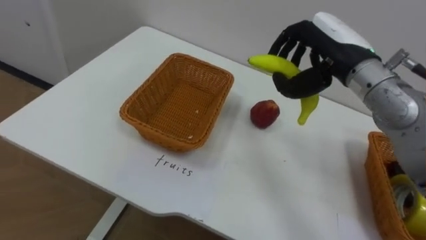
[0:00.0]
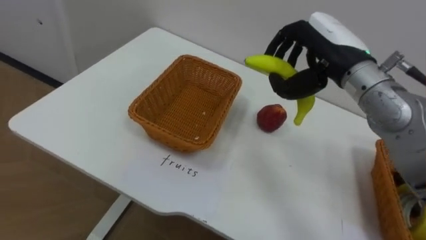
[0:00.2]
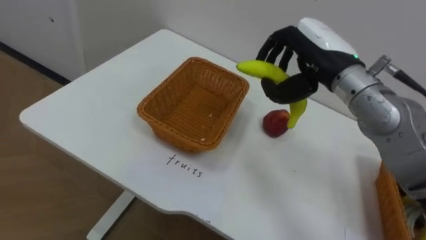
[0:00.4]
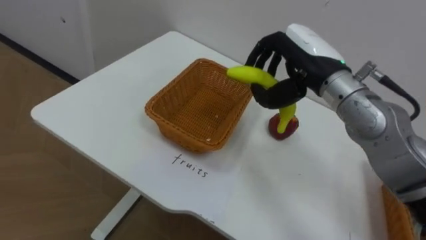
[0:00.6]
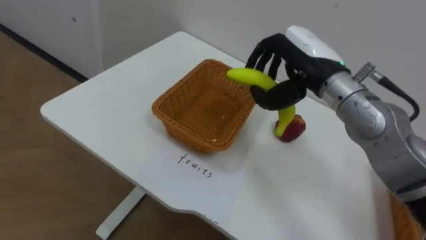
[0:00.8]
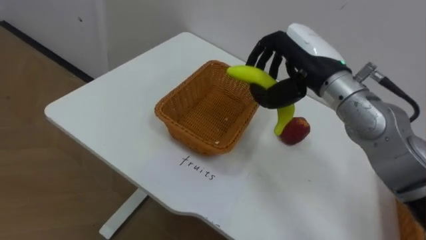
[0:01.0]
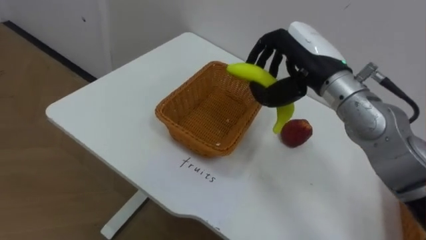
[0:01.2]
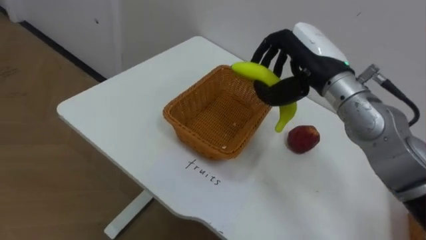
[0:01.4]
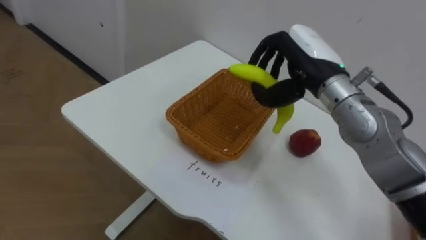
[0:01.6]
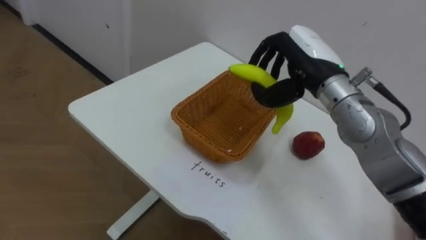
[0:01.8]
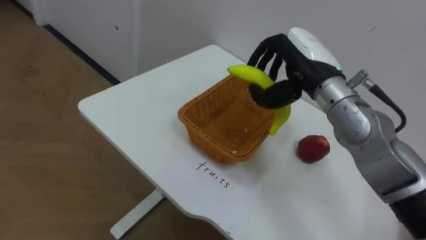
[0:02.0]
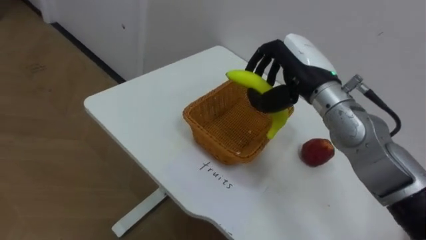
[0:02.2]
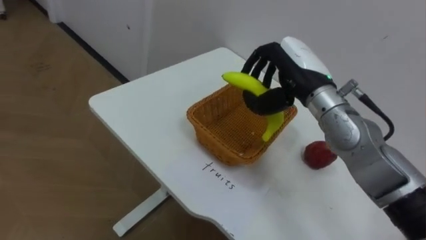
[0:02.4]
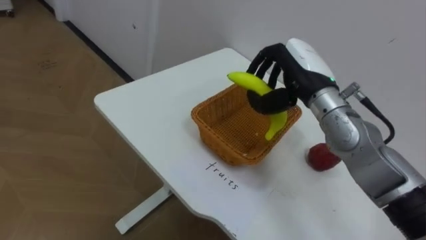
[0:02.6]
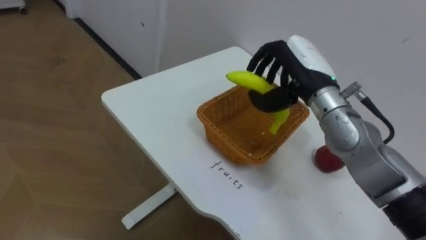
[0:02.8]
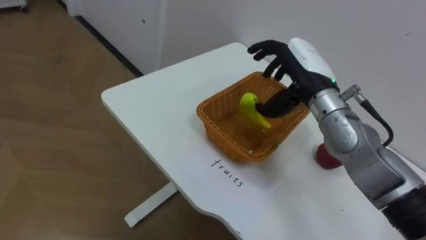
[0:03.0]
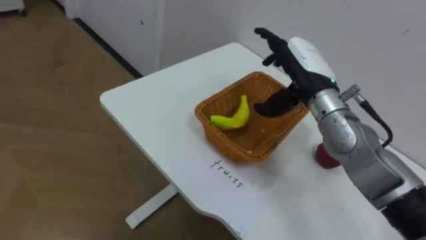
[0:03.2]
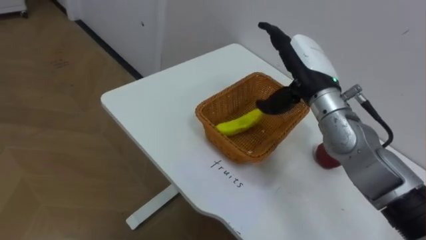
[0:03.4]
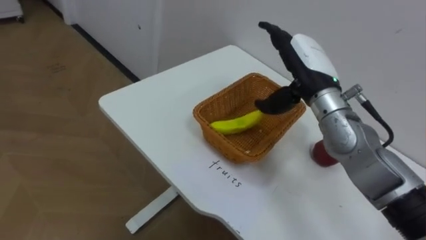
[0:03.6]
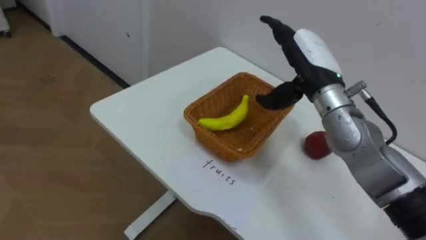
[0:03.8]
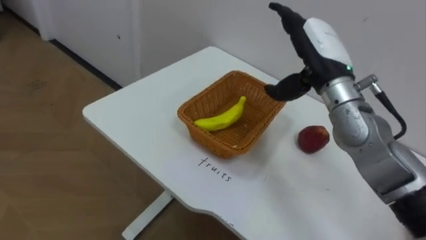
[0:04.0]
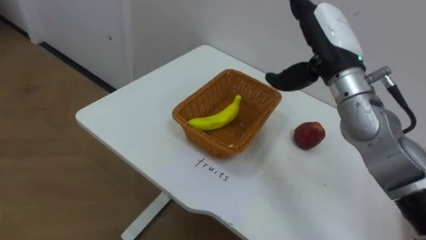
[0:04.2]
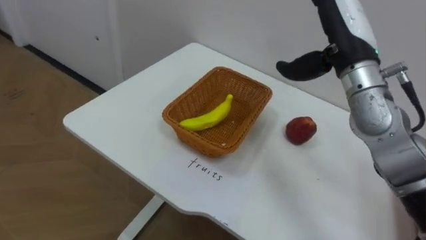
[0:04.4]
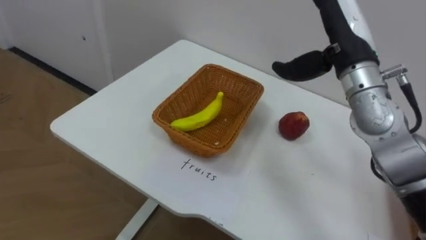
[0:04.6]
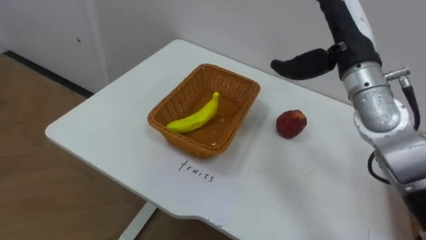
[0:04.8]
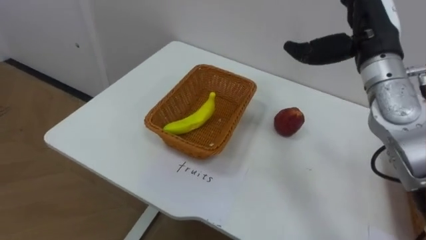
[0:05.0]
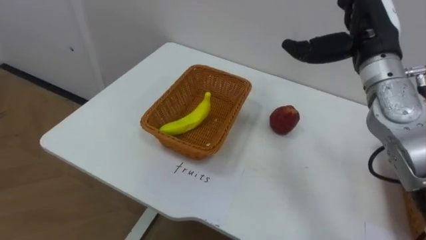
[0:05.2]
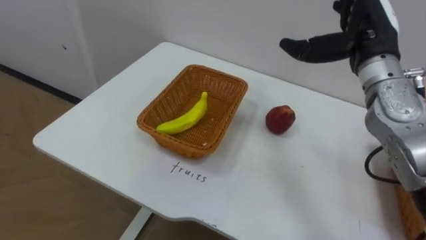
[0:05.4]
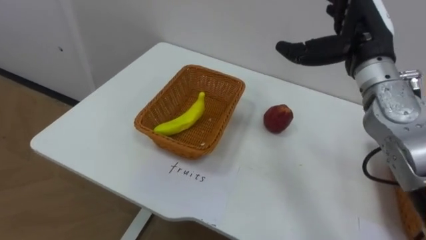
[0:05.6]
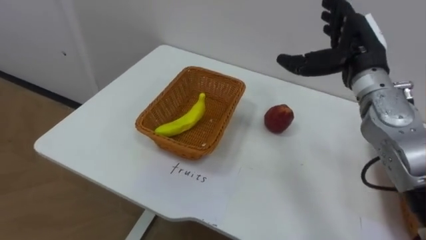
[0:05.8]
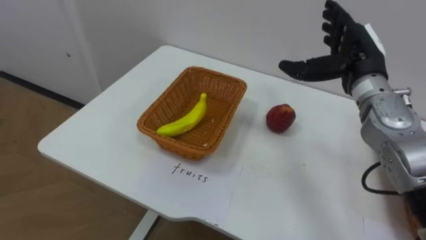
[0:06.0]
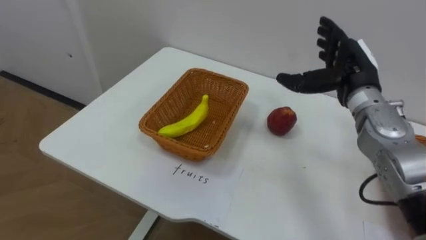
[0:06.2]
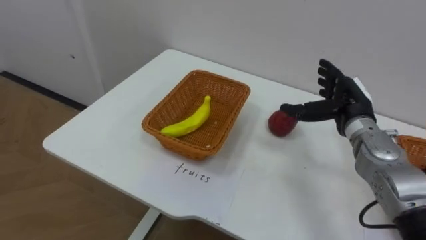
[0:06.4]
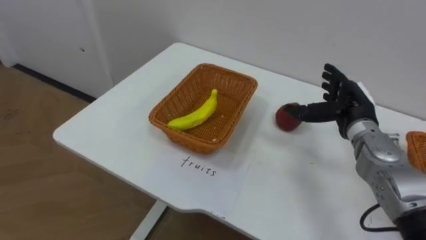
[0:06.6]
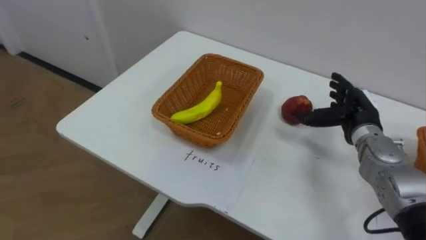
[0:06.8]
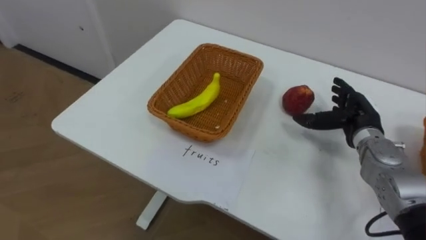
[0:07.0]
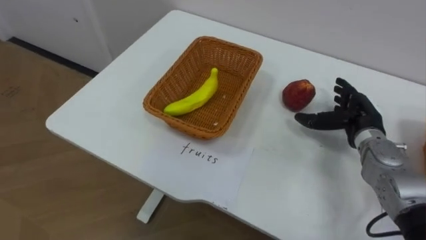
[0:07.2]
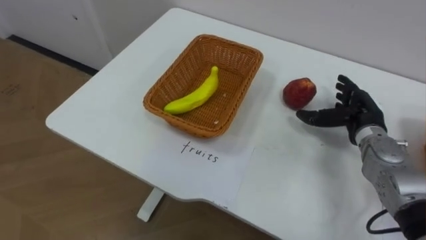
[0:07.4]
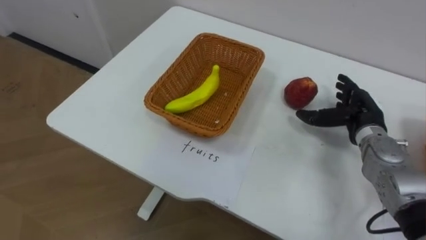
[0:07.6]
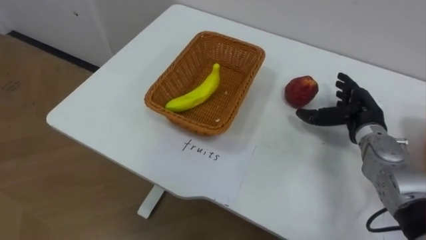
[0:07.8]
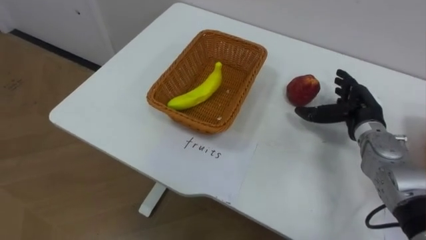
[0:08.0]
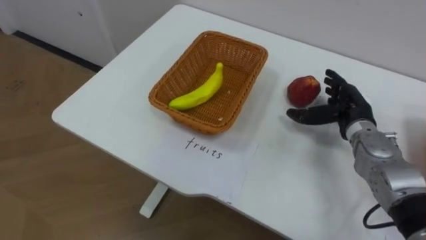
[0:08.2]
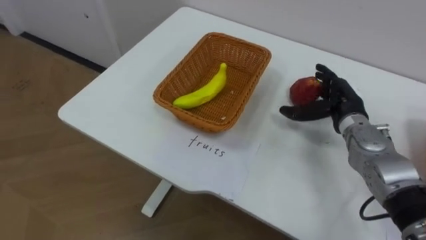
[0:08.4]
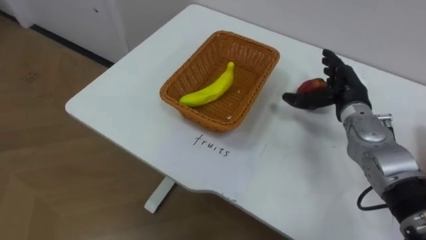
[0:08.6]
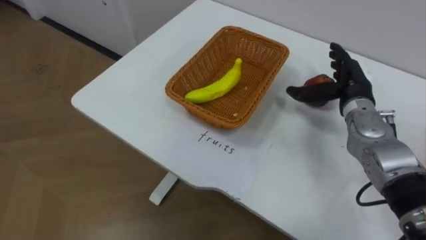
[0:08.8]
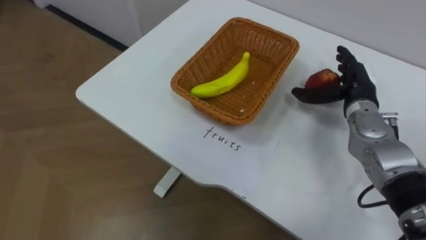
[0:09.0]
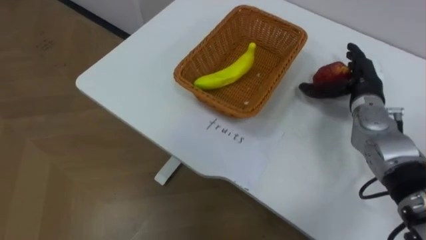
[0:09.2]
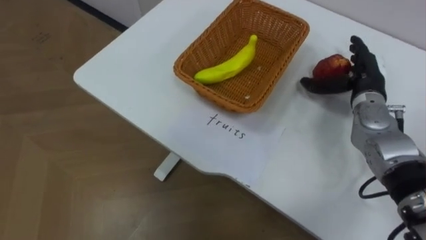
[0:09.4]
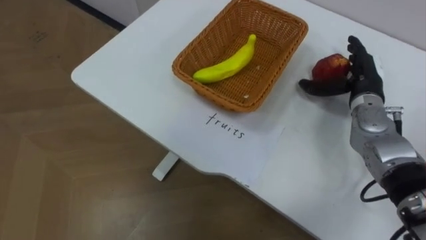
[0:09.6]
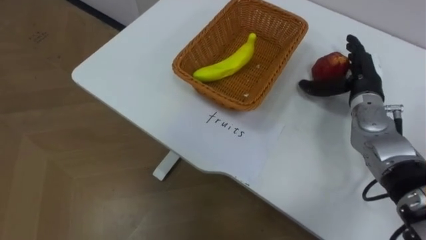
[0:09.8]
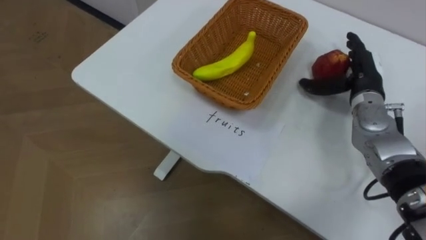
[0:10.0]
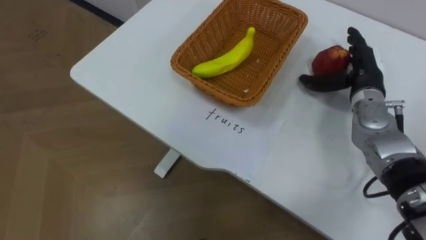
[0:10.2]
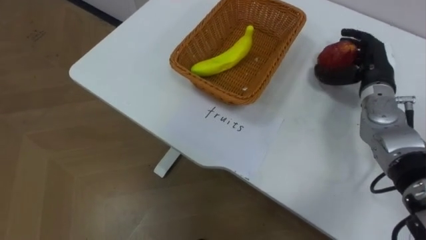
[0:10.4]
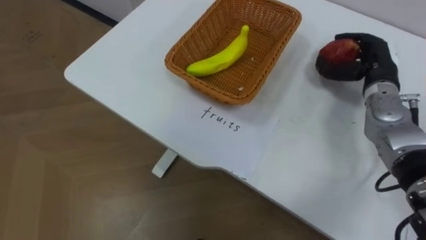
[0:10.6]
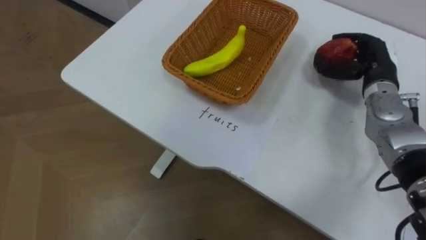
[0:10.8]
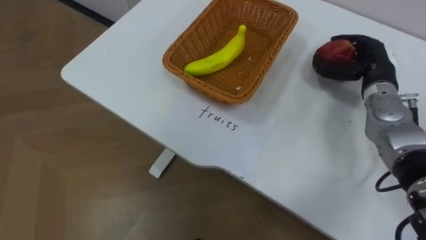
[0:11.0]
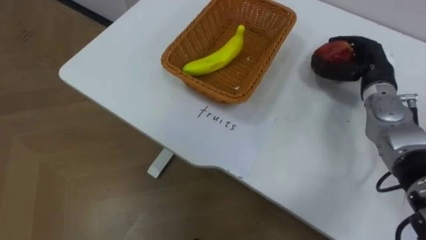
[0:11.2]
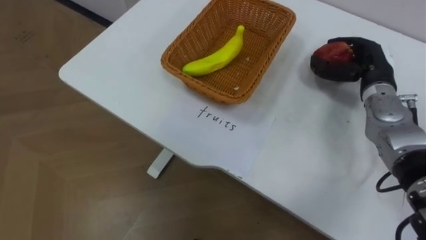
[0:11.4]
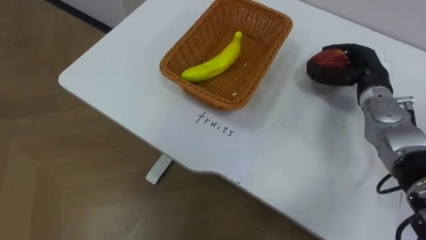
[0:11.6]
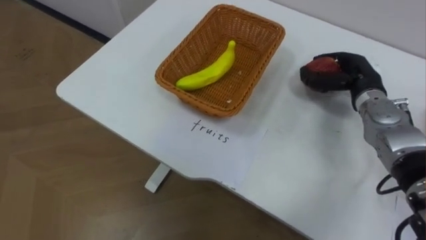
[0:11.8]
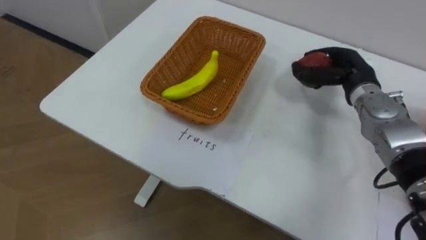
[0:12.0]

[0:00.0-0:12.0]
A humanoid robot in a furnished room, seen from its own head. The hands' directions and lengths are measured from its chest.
Task of the whole recording: Separate the items on the table and place them into the two baskets.
0:03.0 to 0:04.4: The right hand is displaced upward by roughly 5 cm, and opens up.
0:04.4 to 0:06.0: The right hand moves downward, some 5 cm.
0:06.0 to 0:07.6: The right hand goes about 10 cm downward.
0:07.6 to 0:09.0: The right hand ends up approximately 5 cm from where it was.

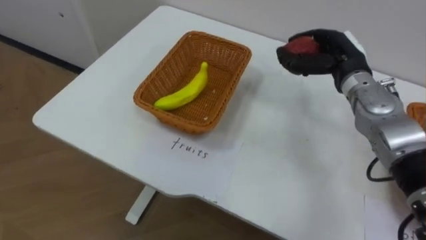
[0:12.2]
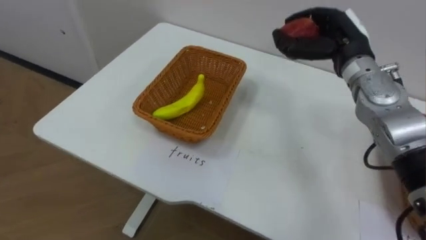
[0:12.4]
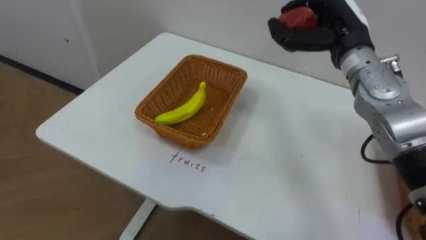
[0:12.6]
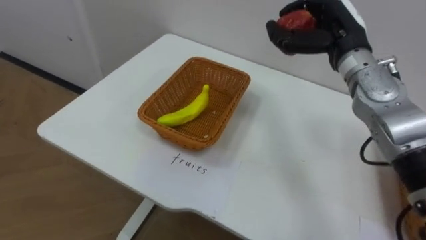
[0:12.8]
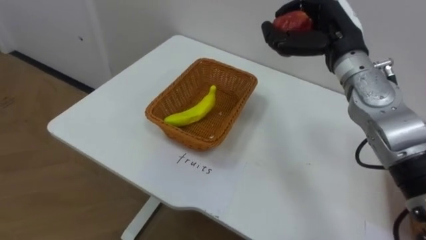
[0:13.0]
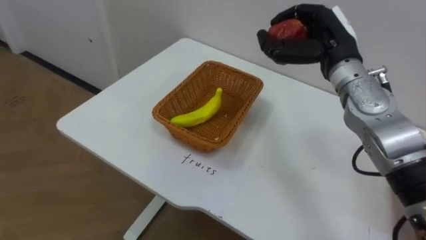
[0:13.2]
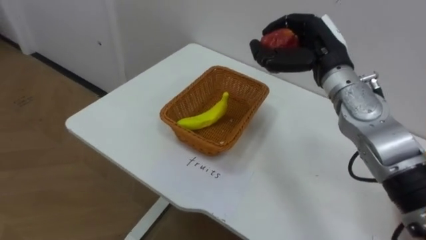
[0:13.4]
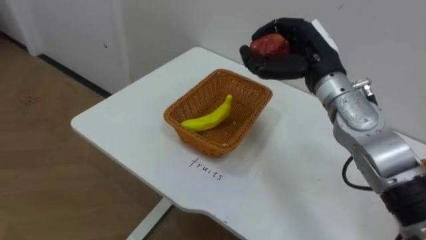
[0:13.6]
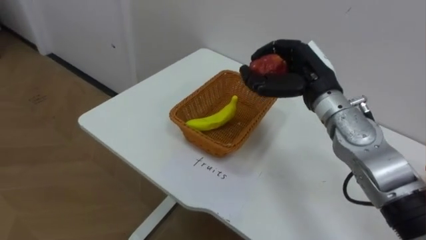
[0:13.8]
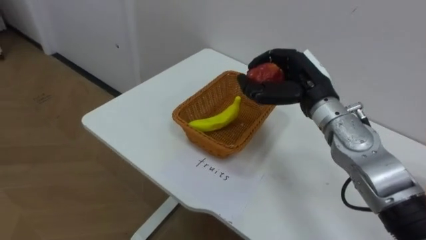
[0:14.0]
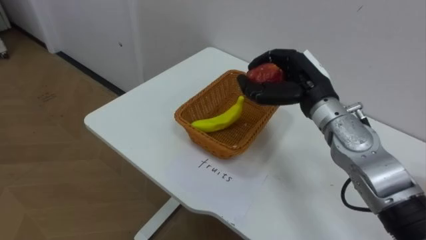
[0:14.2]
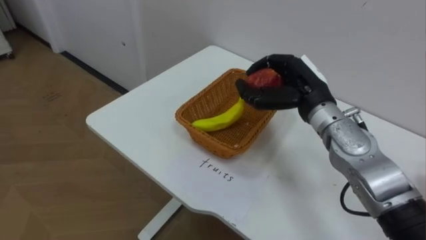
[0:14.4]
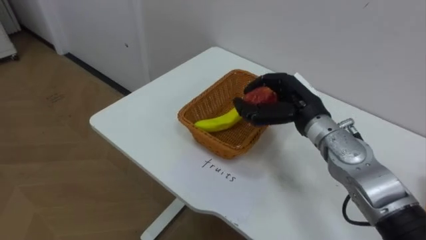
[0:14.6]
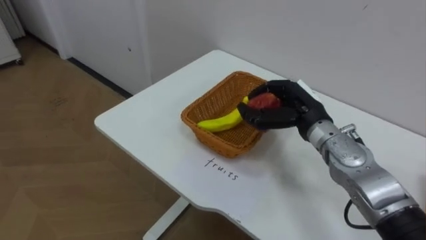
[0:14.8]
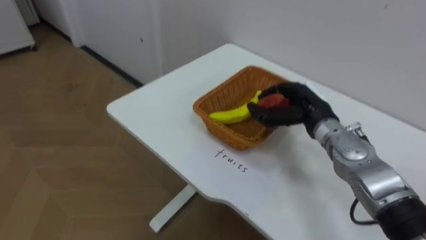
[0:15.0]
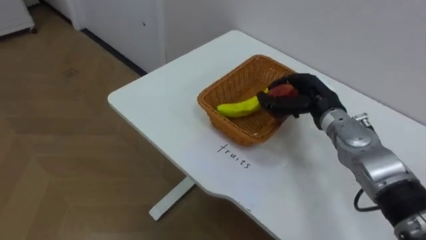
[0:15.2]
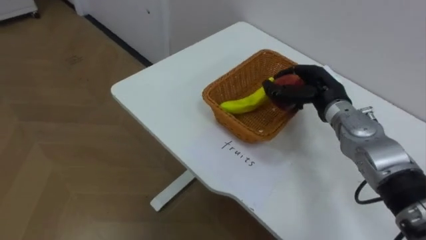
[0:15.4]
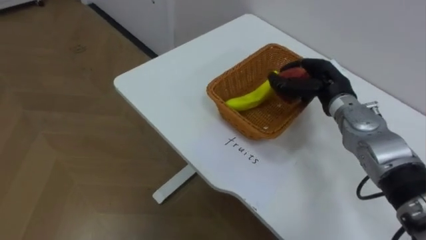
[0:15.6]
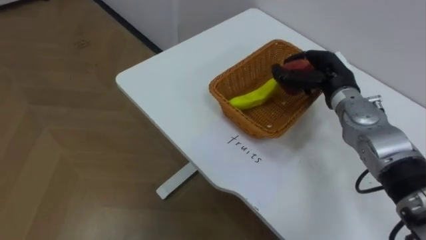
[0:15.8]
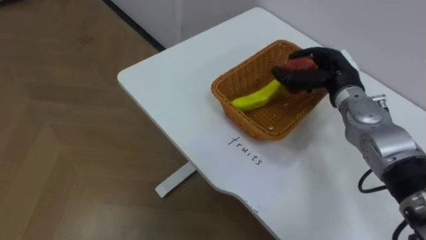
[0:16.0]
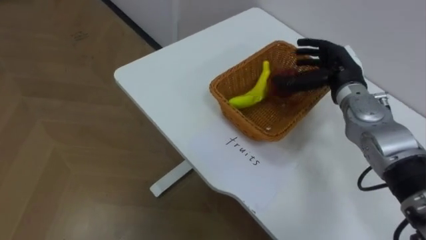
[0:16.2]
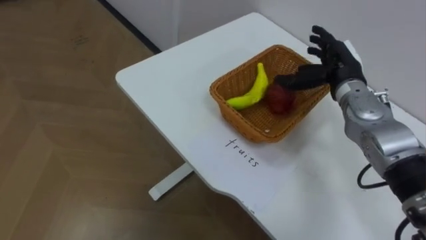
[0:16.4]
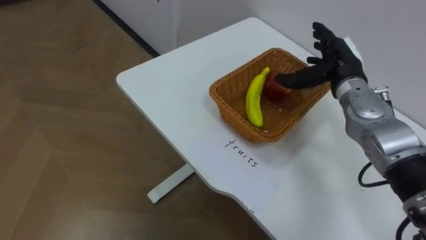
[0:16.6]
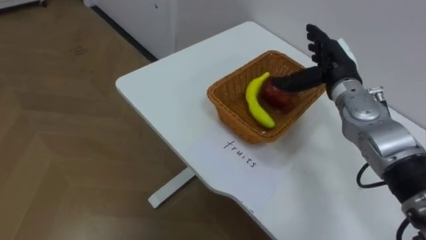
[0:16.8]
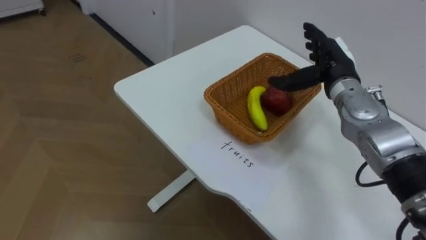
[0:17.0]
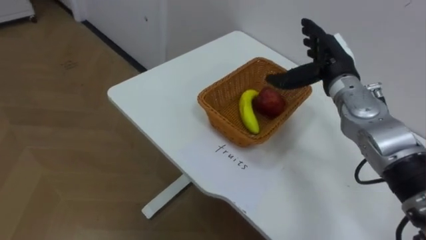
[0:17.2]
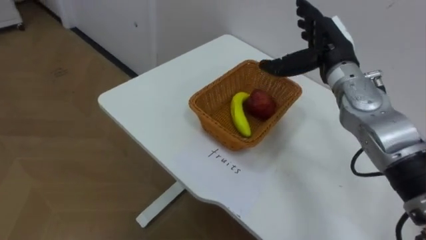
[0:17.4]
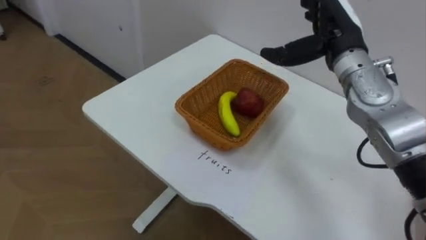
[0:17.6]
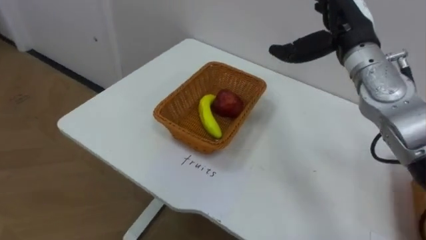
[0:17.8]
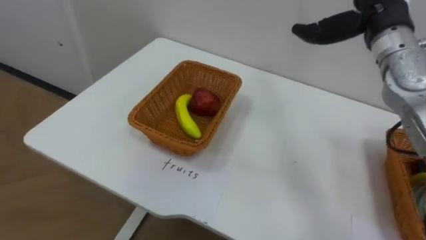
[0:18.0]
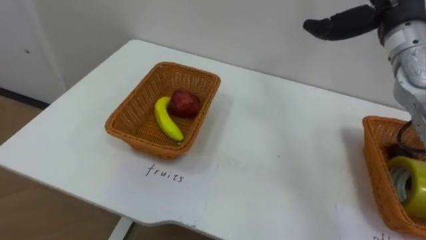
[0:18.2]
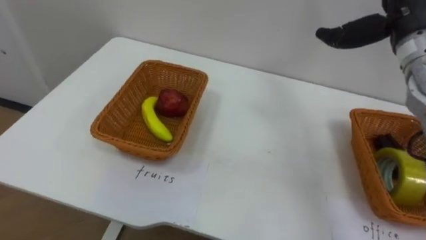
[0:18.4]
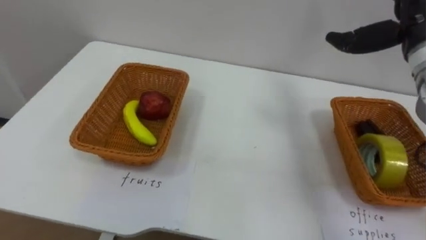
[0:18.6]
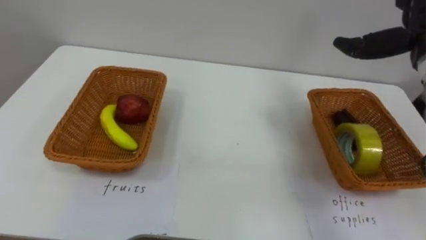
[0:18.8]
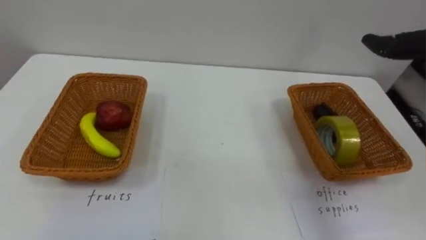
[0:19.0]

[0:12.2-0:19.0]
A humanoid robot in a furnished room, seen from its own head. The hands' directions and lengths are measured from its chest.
Task of the whole recording: Separate the items on the table and place them into the two baskets.
0:12.2 to 0:13.6: The right hand is displaced to the left by about 5 cm.
0:13.6 to 0:15.0: The right hand goes roughly 10 cm downward.
0:15.0 to 0:16.2: The right hand is displaced to the right and forward by some 5 cm, and opens up.
0:16.2 to 0:17.6: The right hand is displaced upward by some 10 cm, and opens its fingers.
